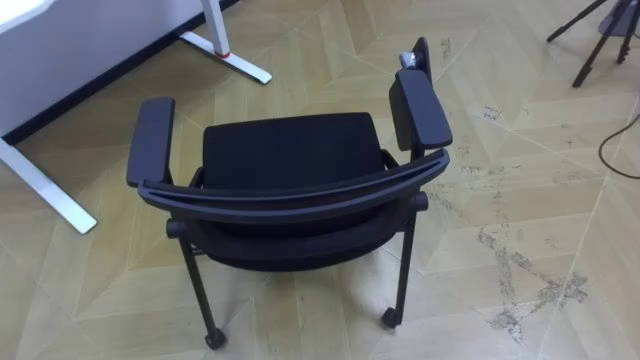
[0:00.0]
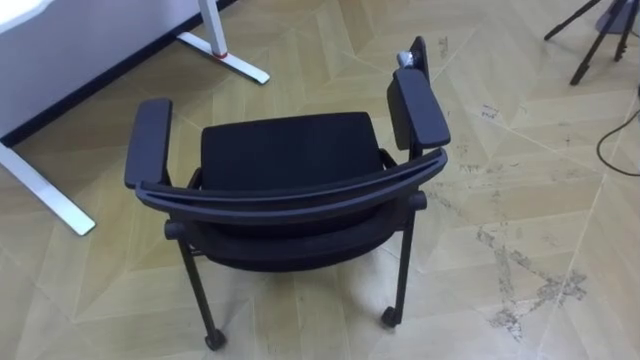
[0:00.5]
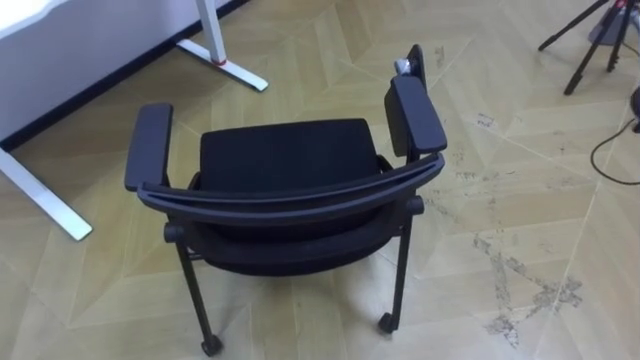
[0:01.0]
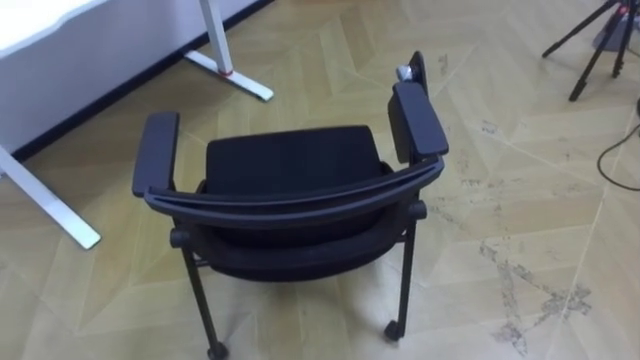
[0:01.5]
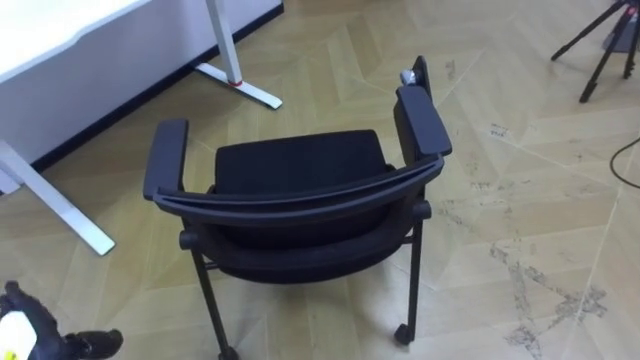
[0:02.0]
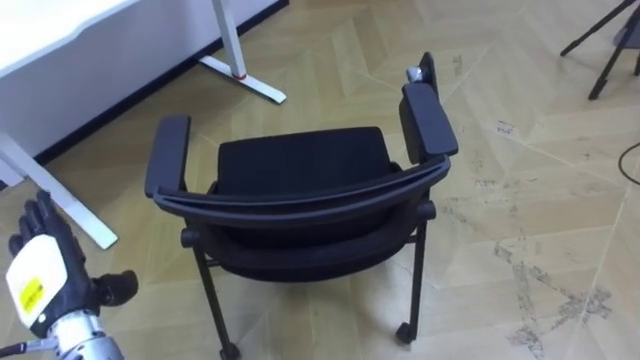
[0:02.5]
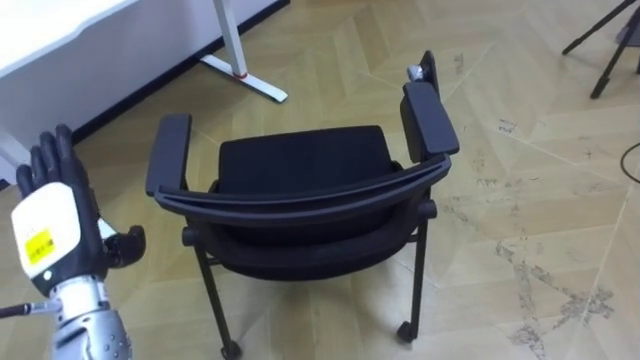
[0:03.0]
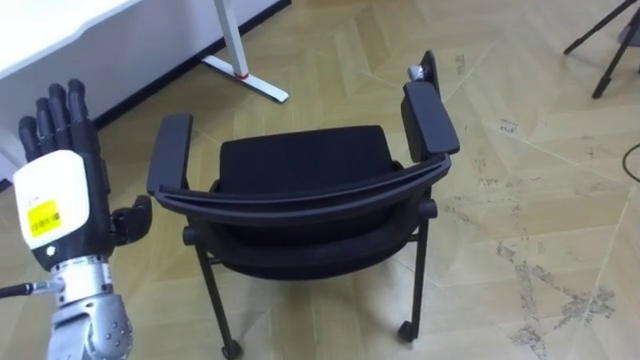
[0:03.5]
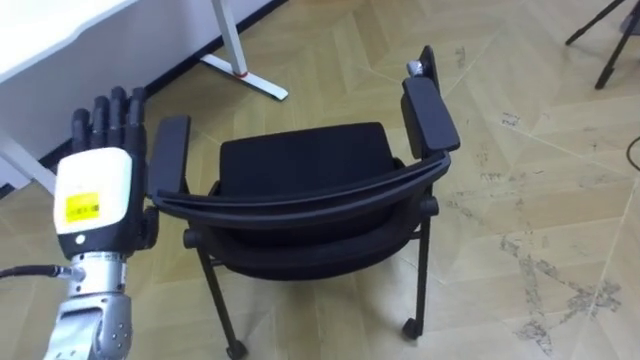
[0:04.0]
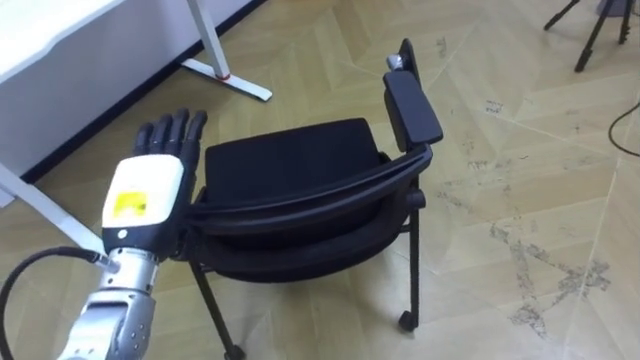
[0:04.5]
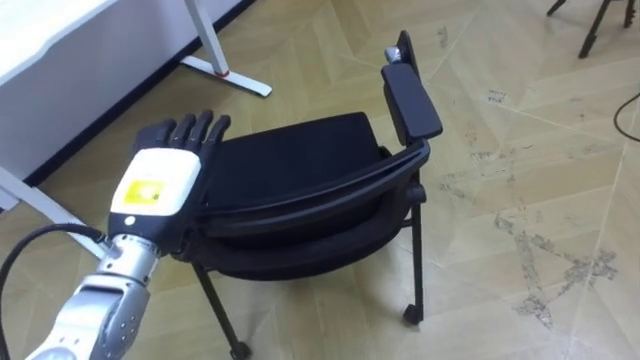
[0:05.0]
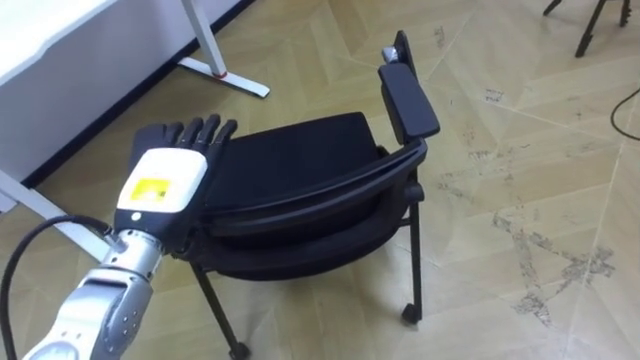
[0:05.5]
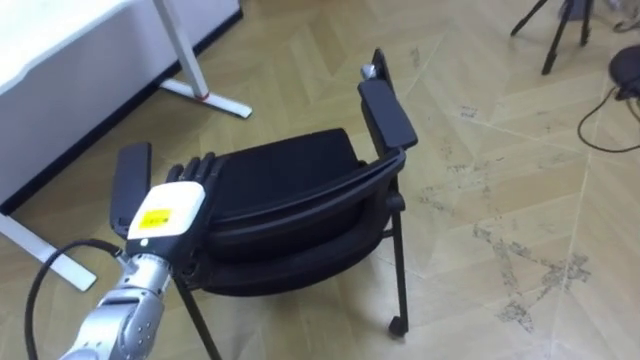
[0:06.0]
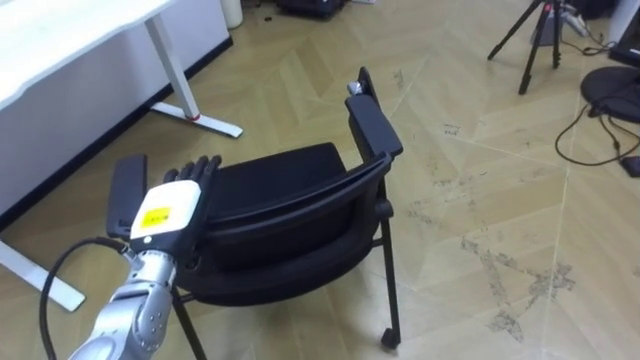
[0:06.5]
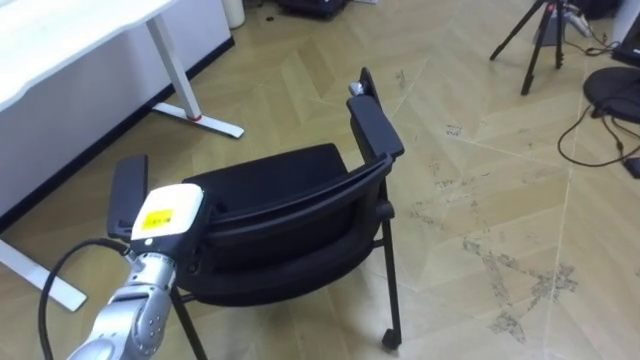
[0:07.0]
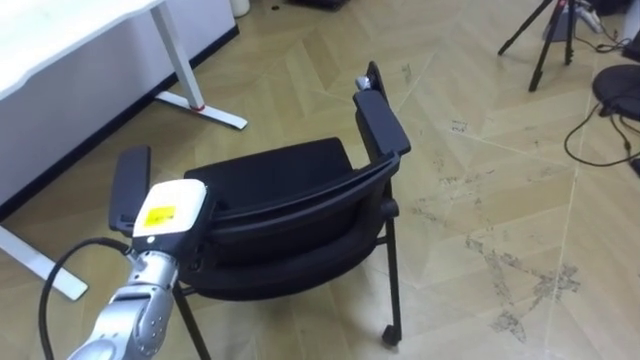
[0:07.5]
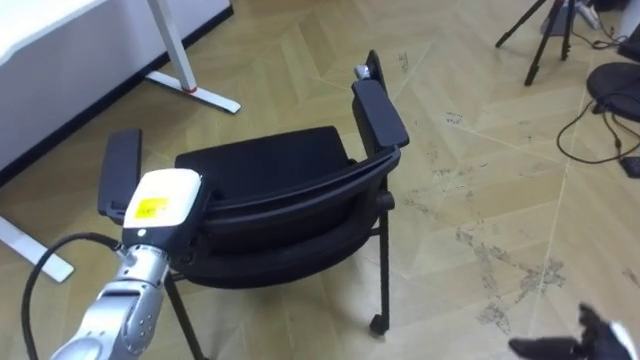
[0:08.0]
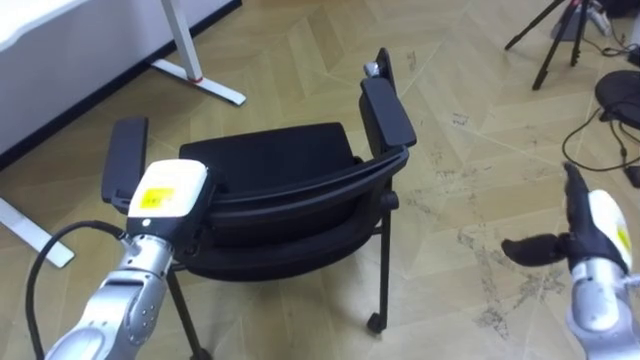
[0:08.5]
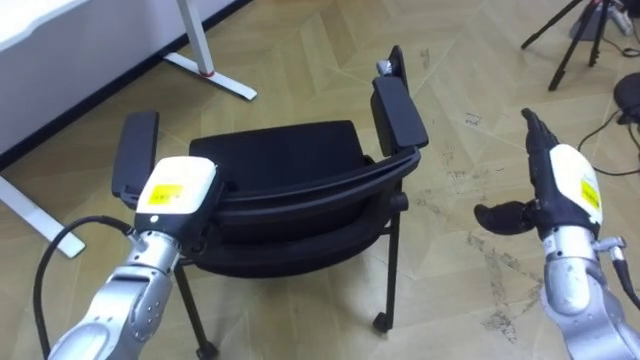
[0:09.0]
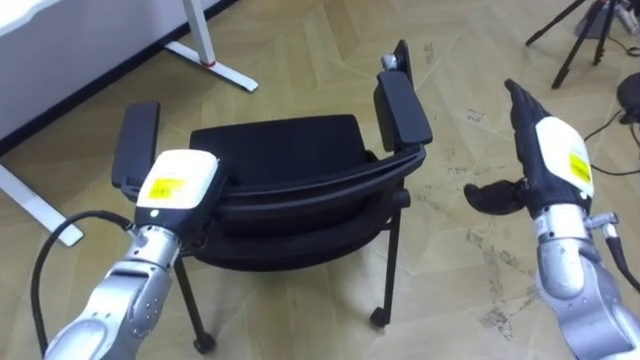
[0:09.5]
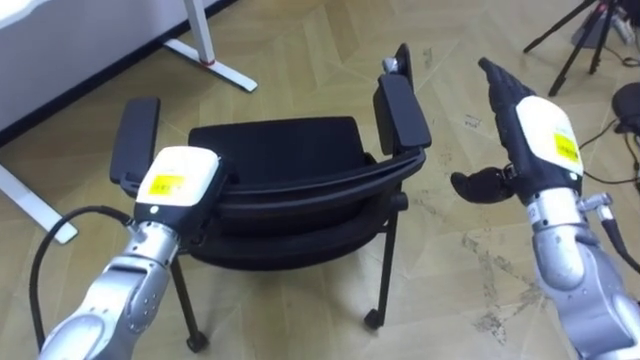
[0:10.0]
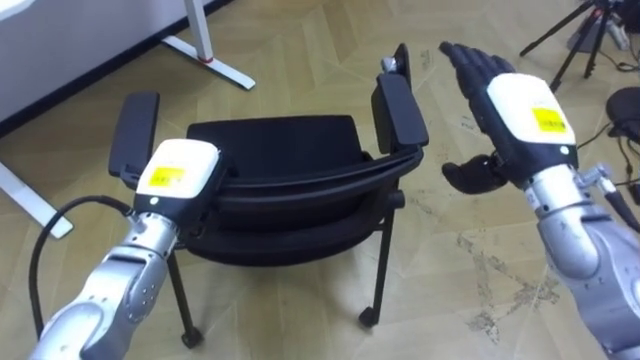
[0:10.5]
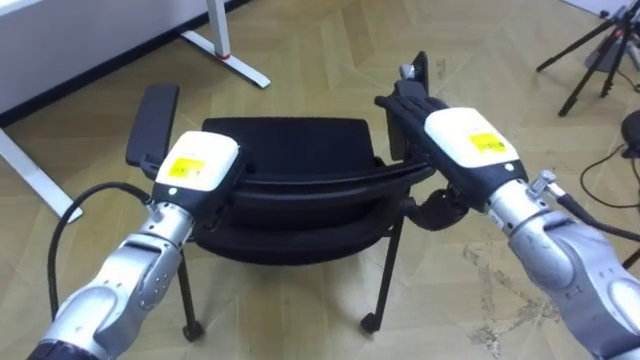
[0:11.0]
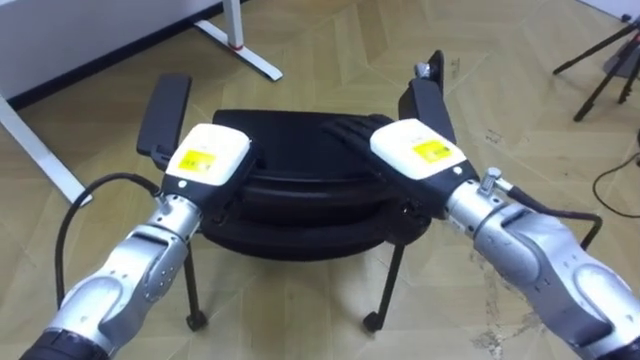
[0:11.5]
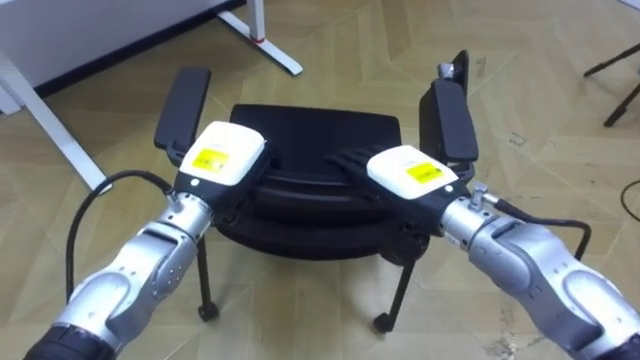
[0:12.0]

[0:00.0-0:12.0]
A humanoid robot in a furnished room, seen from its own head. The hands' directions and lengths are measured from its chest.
Task of the whole recording: Push the chair under the table.
0:02.0 to 0:04.0: The left hand moves upward, forward and to the right, about 20 cm.
0:04.0 to 0:06.0: The left hand is displaced downward by about 5 cm.
0:06.0 to 0:08.0: The left hand closes.
0:08.0 to 0:10.0: The right hand is displaced upward, forward and to the left by roughly 30 cm.
0:10.0 to 0:12.0: The right hand is displaced to the left by some 15 cm. The left hand goes about 5 cm to the right.

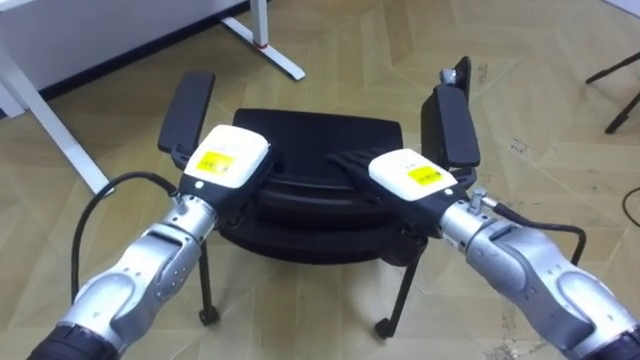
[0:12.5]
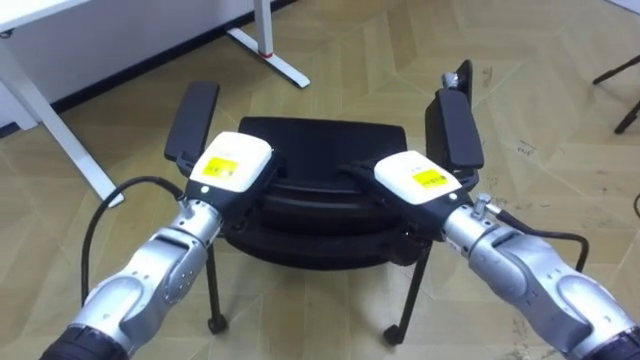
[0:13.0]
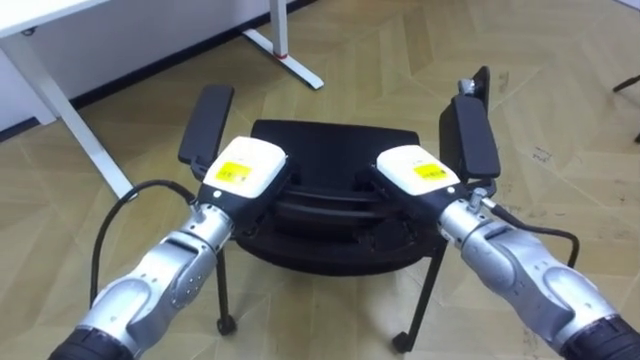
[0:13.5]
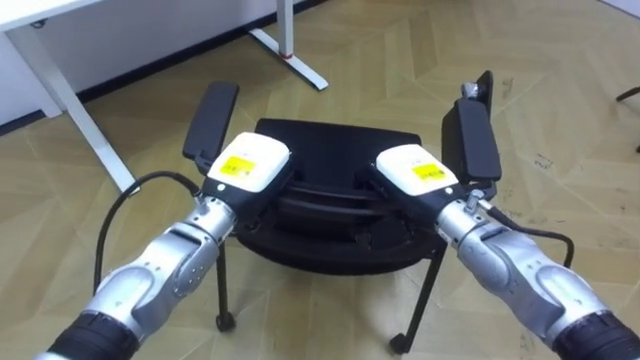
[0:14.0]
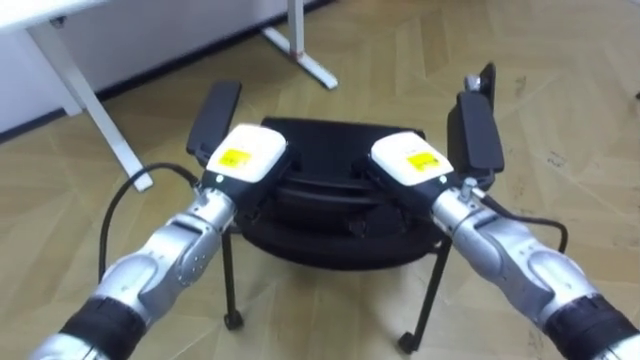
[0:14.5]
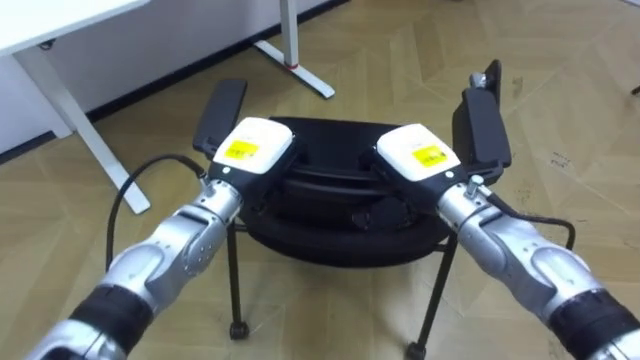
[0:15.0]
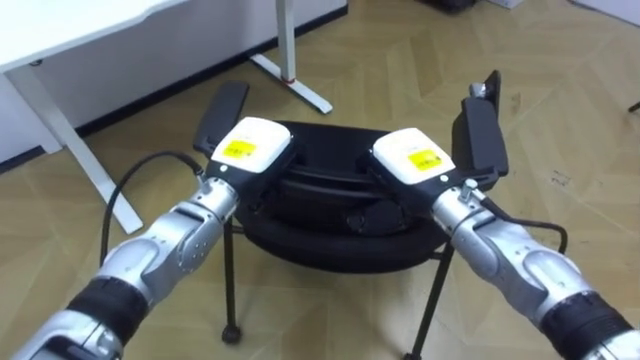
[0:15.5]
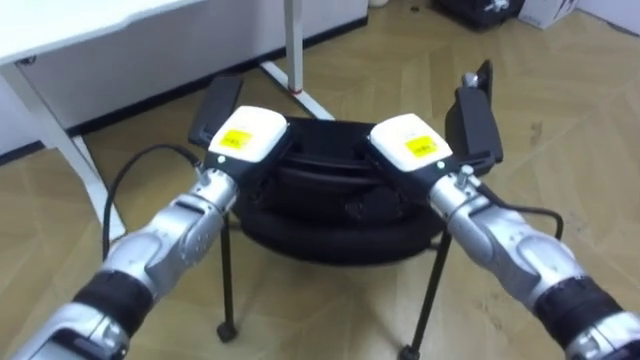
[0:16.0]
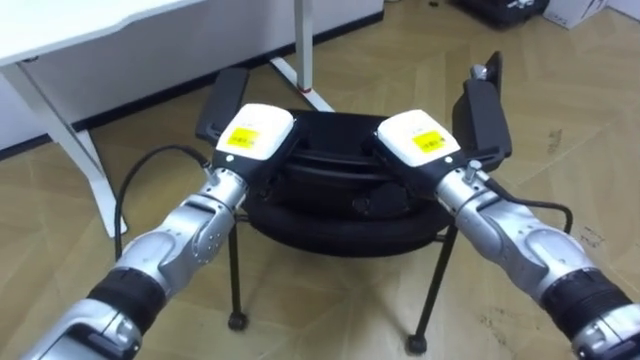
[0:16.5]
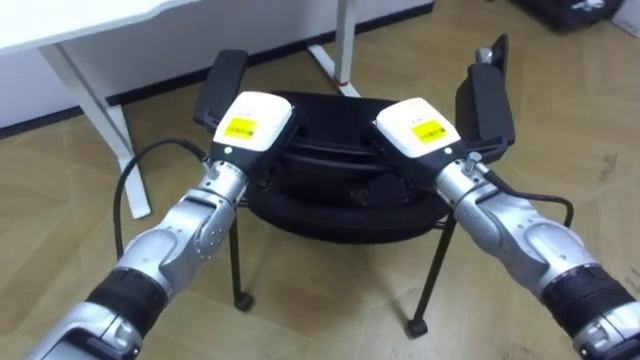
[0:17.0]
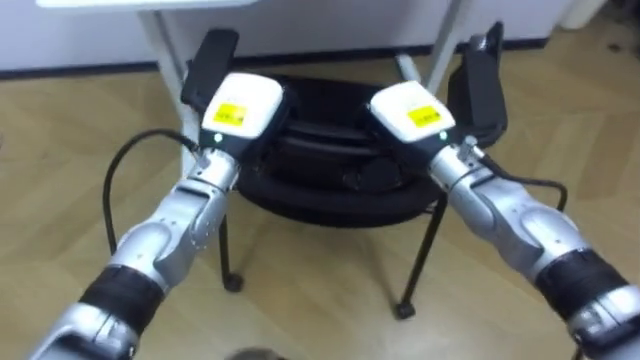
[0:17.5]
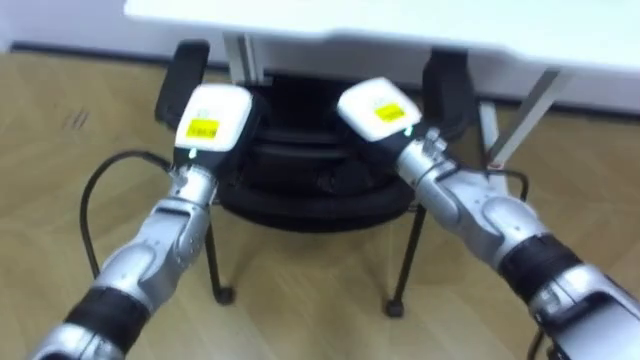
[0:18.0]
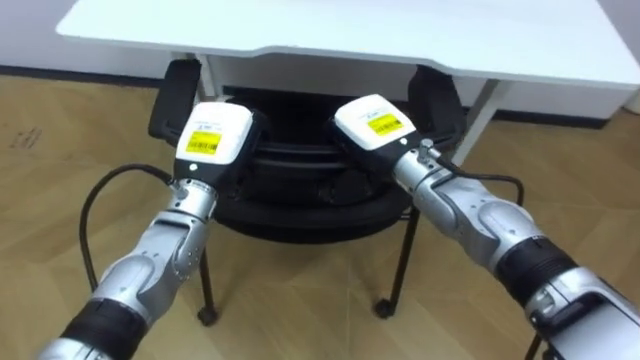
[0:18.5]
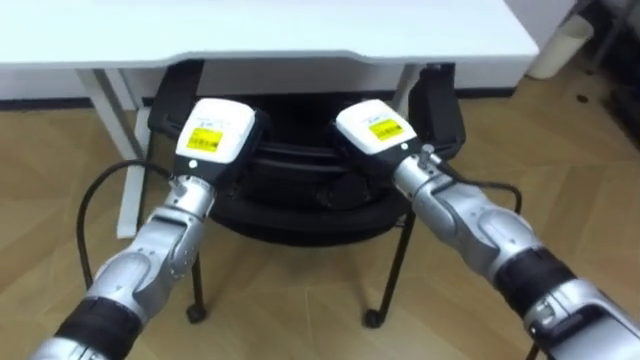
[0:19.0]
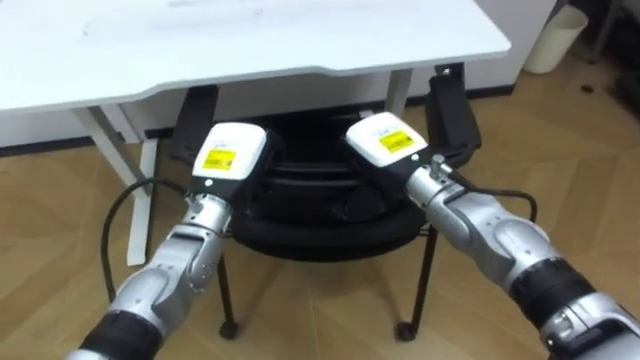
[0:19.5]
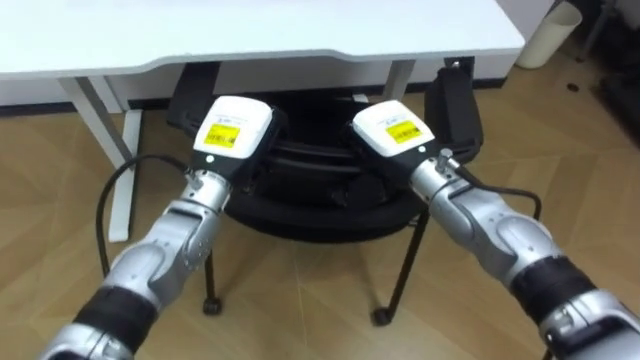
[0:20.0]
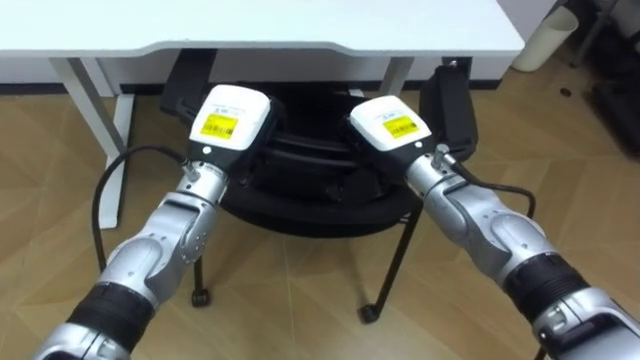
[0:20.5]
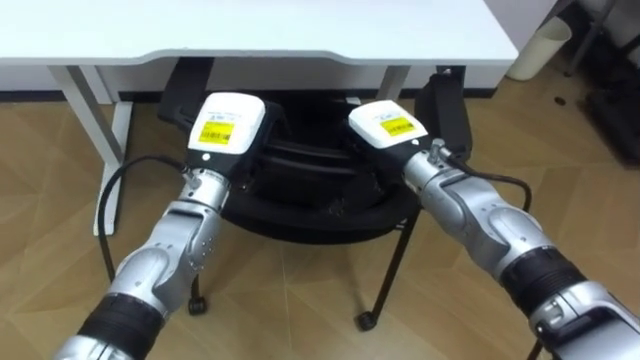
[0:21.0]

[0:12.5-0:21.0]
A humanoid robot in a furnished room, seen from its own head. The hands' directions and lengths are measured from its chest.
Task of the whole recording: Push the chair under the table.
0:12.5 to 0:14.5: The right hand closes.
0:16.5 to 0:19.0: The right hand goes roughly 5 cm to the left.
0:19.0 to 0:21.0: The right hand opens up.
